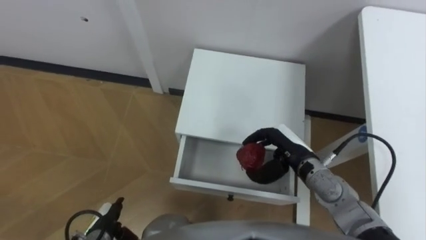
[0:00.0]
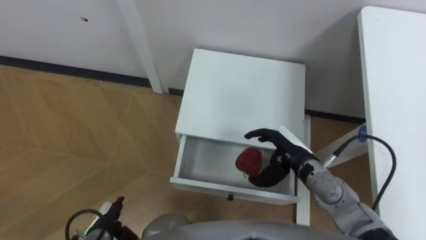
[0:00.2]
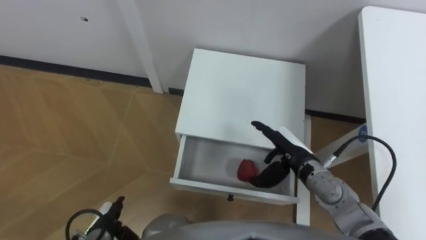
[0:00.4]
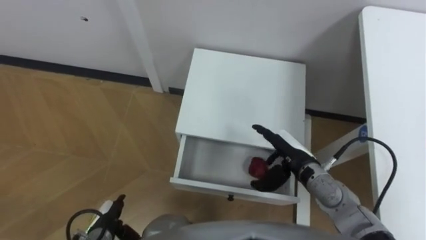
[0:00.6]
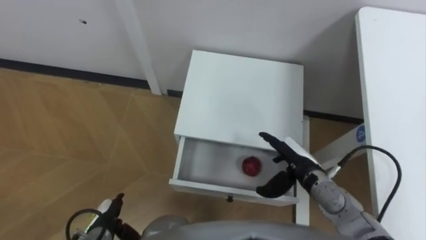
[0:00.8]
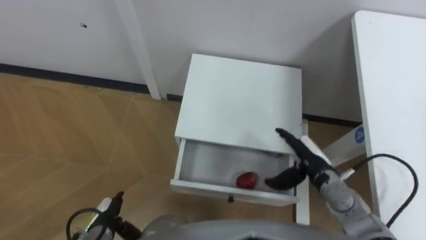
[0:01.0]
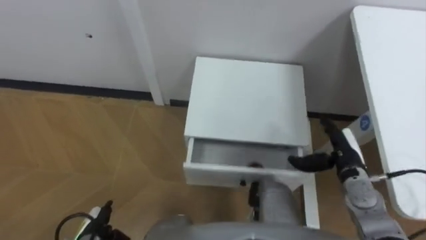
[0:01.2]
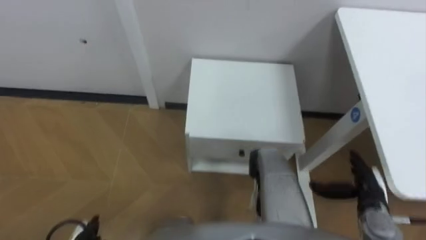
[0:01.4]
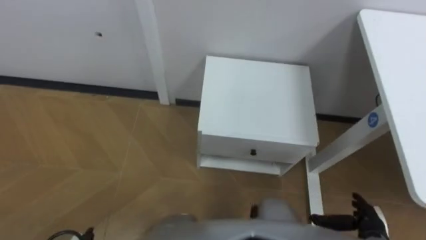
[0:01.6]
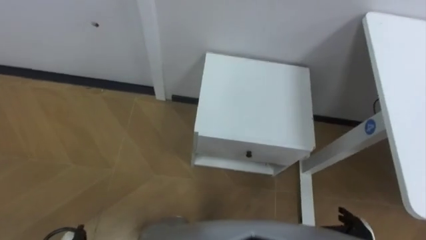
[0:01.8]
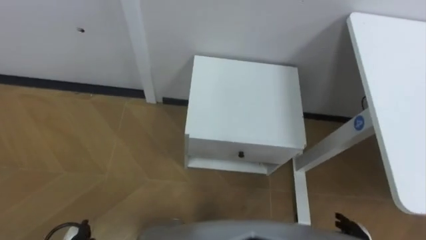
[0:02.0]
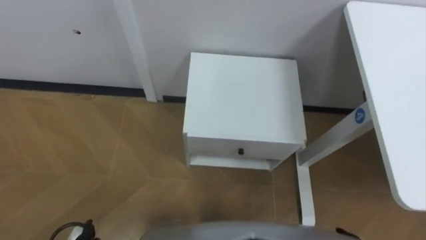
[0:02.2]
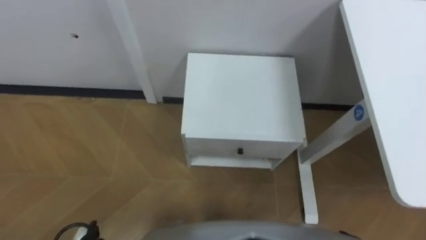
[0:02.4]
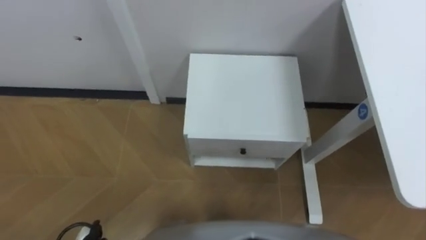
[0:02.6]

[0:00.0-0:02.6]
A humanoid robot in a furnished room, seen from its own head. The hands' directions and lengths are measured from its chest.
Task of the whole recording: Pick up the apple from the table, put it in the drawer, and close the drawer with leg.
0:00.0 to 0:01.2: The right hand heads to the right, covering about 10 cm, and opens up.

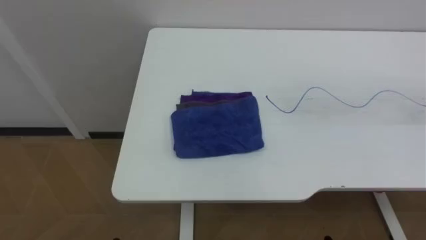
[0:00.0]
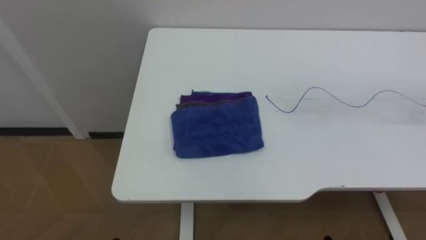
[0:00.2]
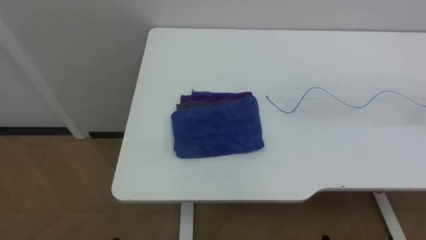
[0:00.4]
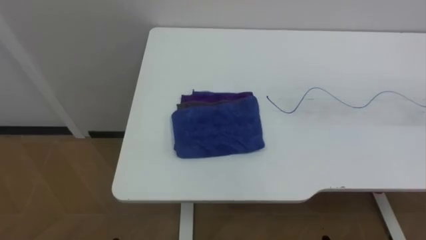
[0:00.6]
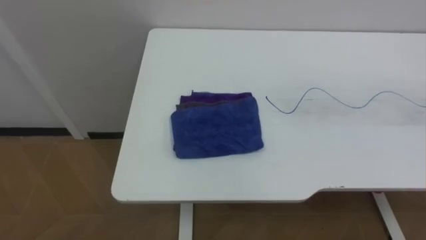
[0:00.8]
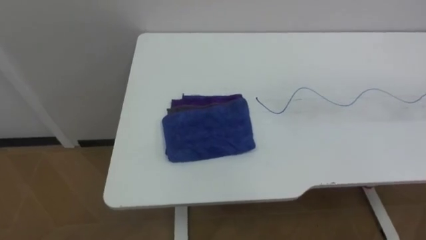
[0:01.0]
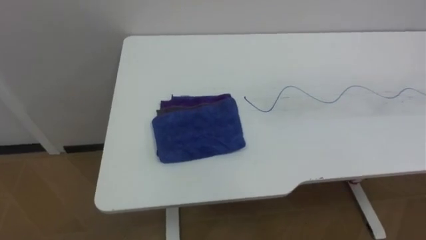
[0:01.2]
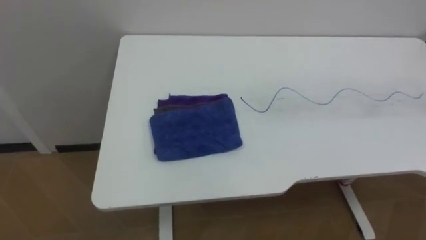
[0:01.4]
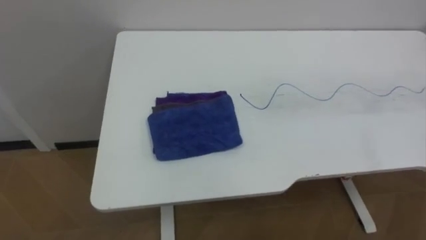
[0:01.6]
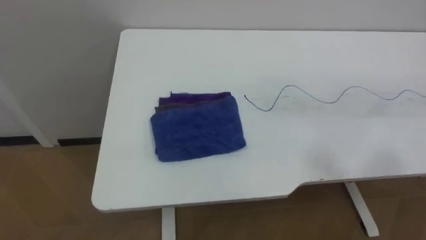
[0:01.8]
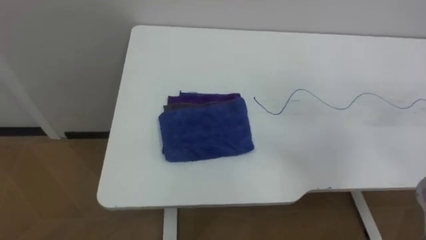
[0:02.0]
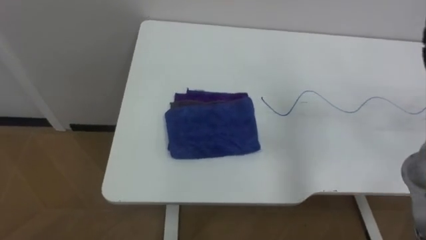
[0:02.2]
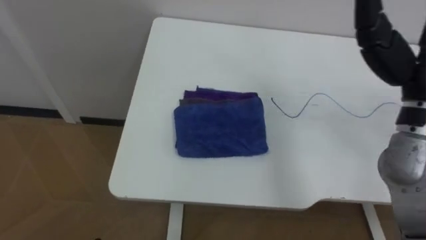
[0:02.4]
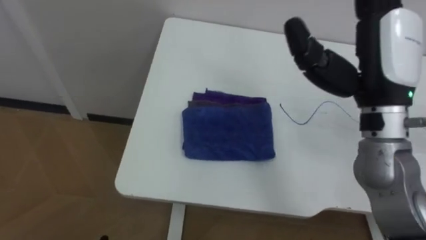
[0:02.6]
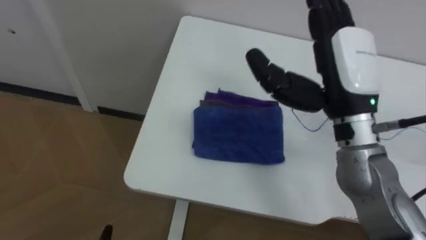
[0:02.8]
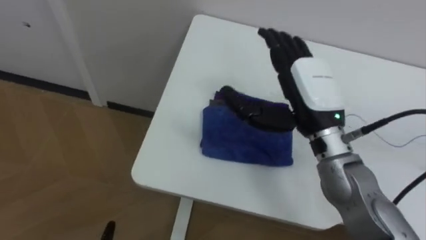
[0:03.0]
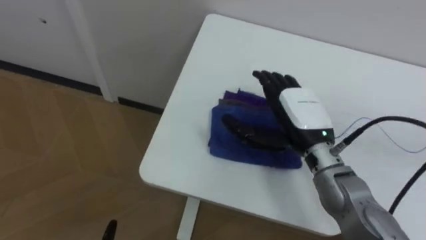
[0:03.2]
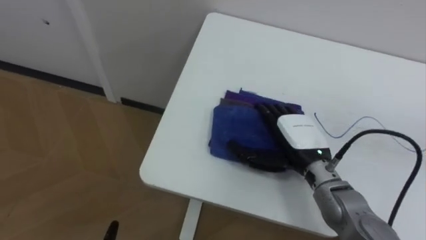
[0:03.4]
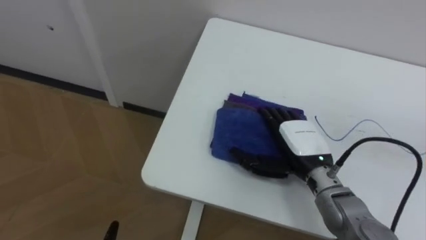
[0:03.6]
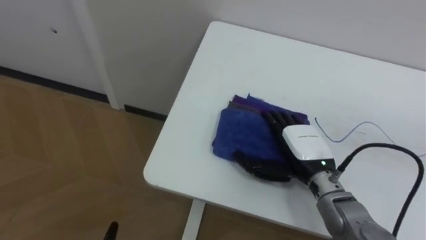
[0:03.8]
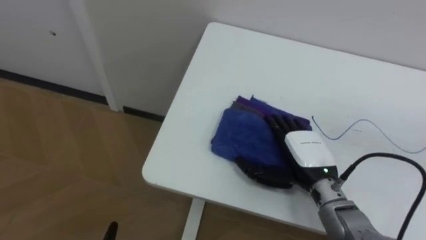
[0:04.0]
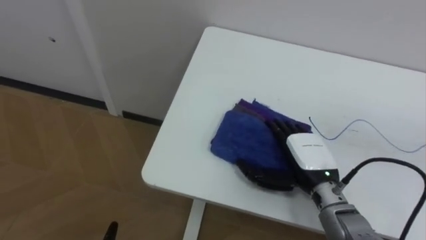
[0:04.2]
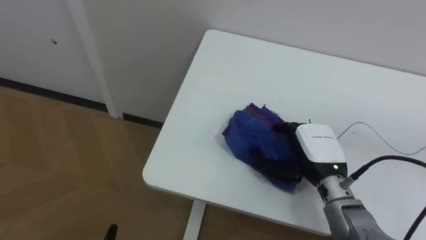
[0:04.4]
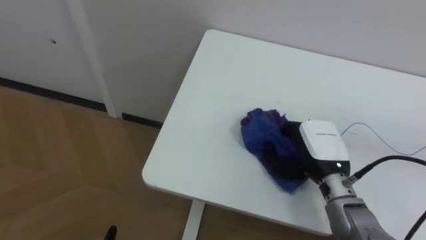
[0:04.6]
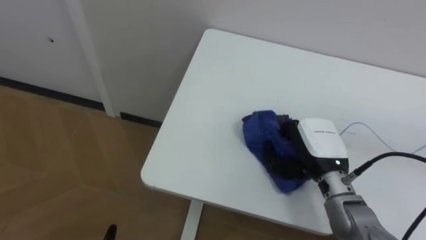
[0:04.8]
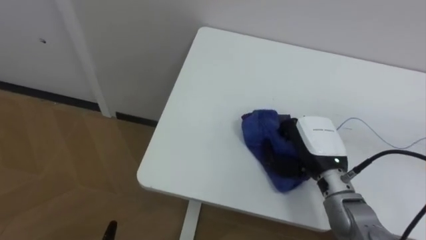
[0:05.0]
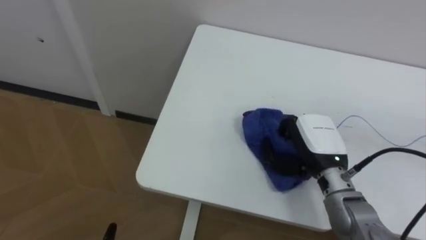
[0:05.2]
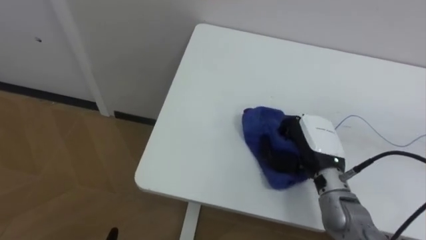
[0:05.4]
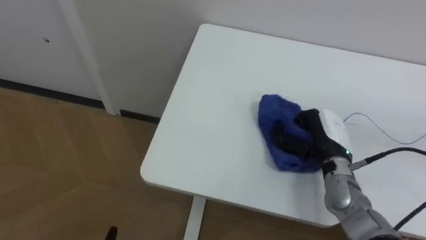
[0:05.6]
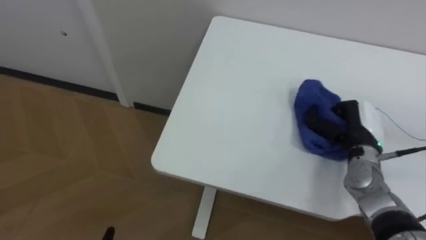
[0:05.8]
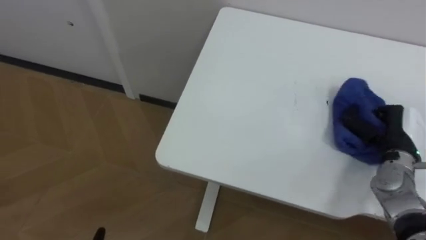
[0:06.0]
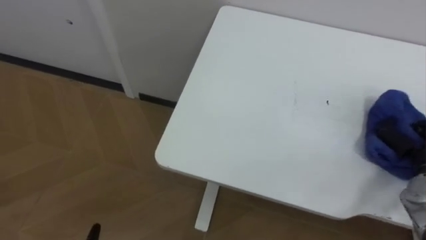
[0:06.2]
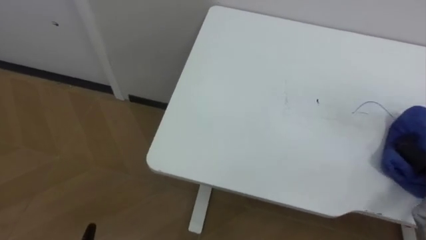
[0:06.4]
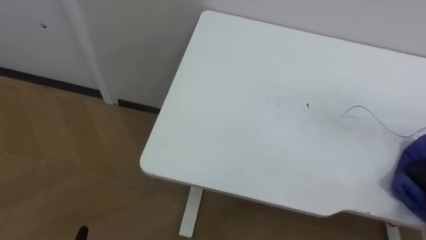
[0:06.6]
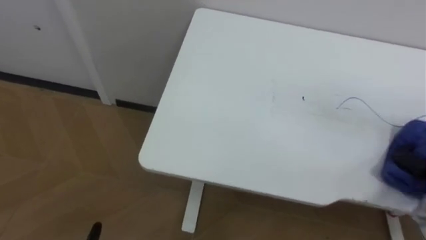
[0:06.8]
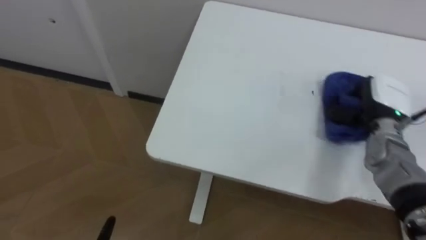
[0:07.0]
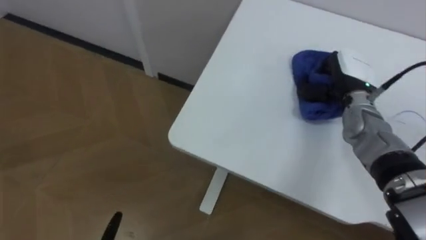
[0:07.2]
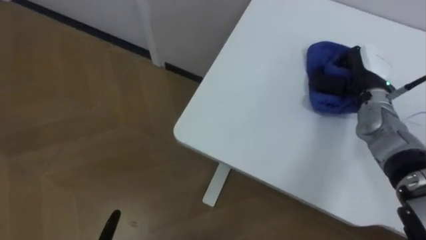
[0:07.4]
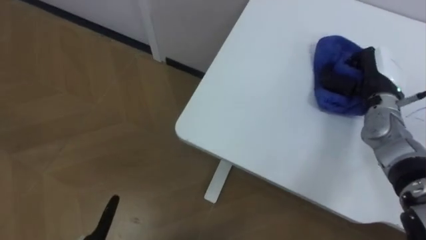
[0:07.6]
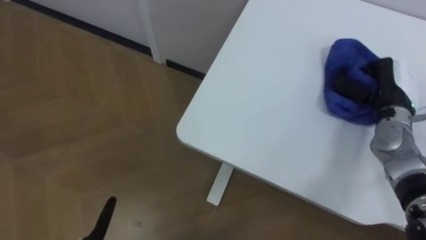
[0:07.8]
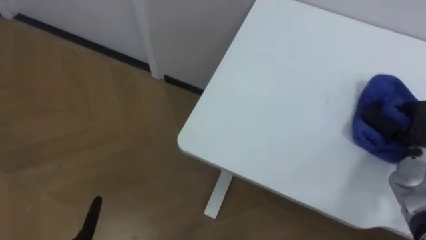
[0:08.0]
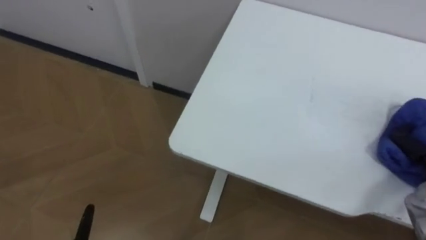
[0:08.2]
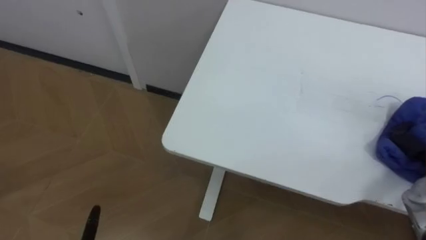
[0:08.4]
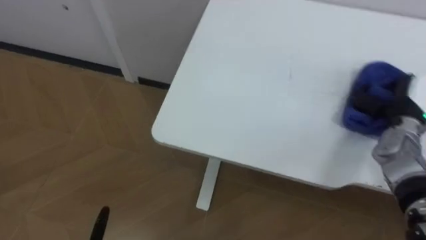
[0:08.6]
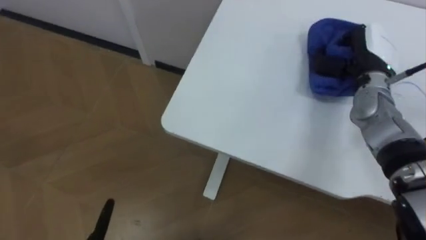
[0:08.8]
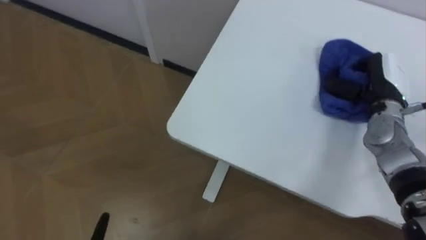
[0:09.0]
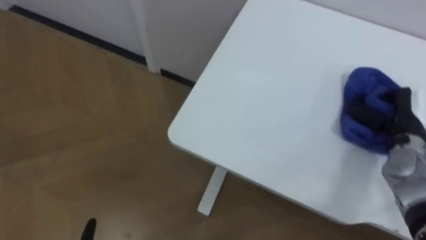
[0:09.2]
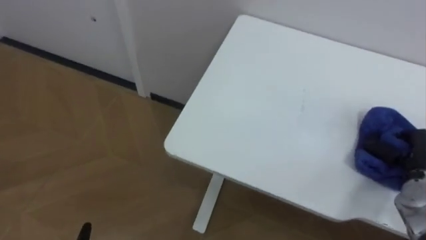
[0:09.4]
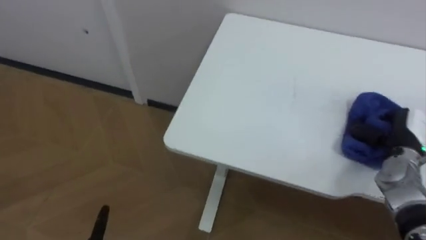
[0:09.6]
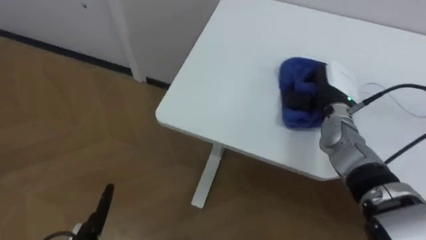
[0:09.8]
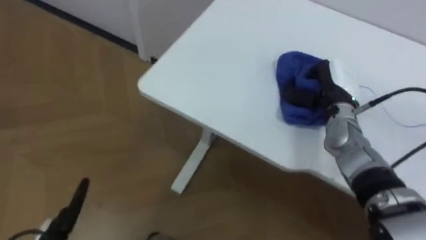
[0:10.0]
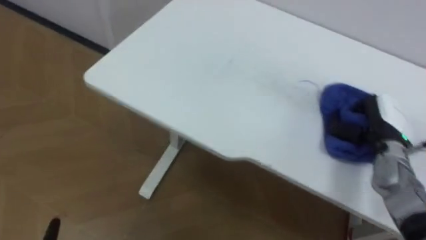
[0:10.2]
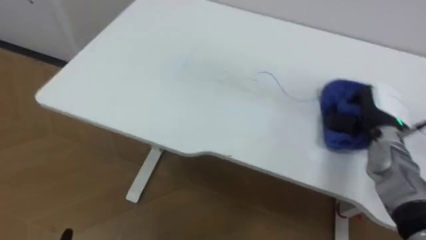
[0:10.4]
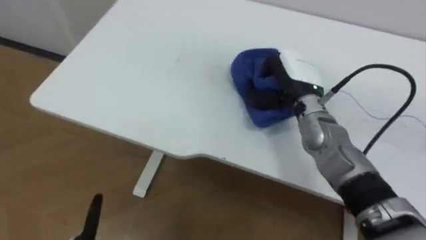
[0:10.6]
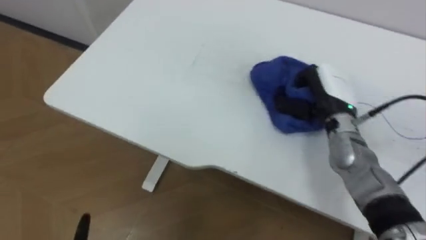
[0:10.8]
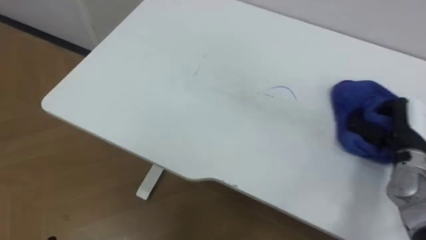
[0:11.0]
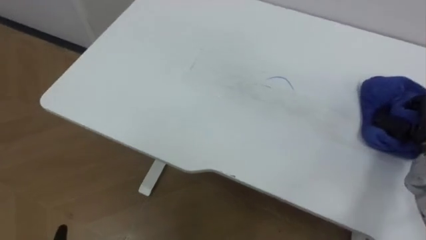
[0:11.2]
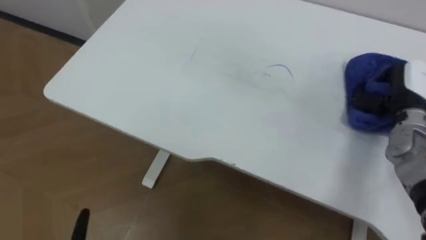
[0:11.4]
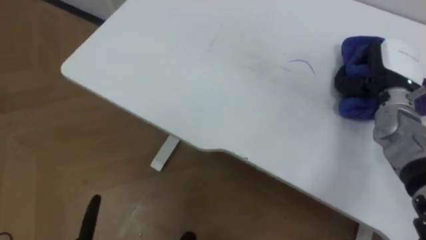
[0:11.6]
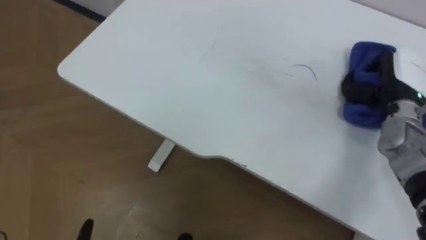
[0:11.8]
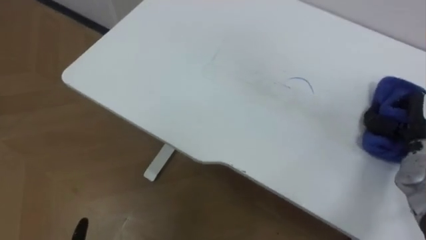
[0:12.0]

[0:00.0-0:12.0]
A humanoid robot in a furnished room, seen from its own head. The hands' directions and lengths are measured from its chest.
Task of the whole recording: Wipe the blue pen marks off the table with the rag.
0:03.0 to 0:04.4: The right hand goes roughly 15 cm downward, and closes.
0:04.4 to 0:06.0: The right hand moves to the right, some 15 cm, and closes up.
0:09.0 to 0:10.4: The right hand swings left and right, roughly 15 cm each way, with 2 reversals.

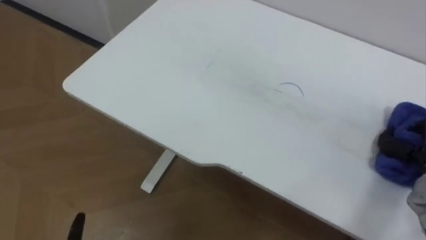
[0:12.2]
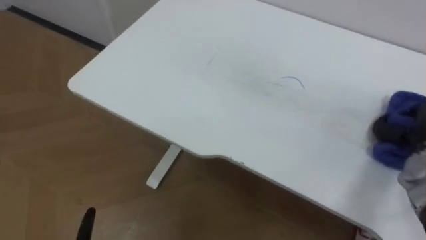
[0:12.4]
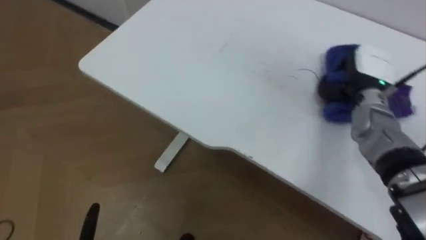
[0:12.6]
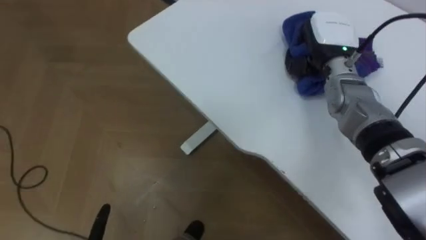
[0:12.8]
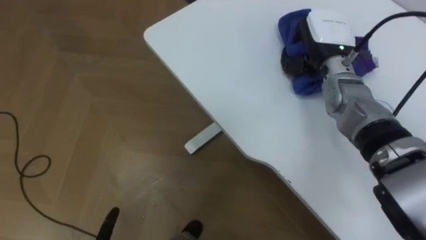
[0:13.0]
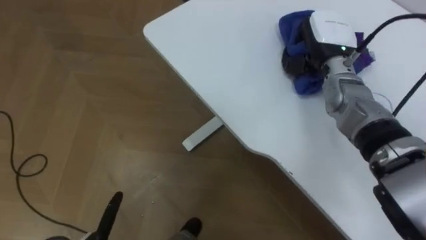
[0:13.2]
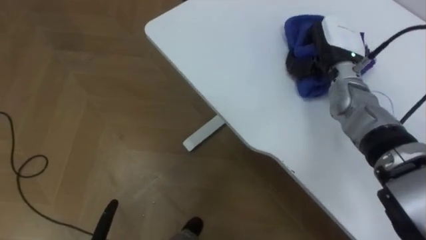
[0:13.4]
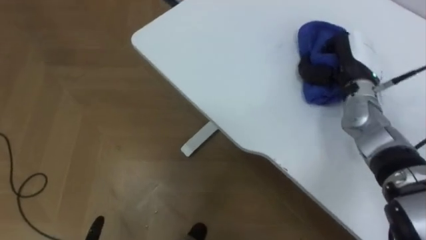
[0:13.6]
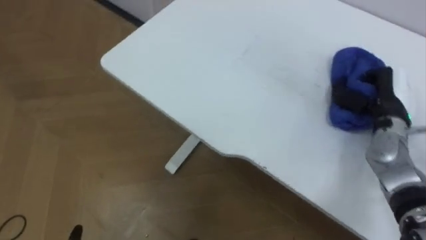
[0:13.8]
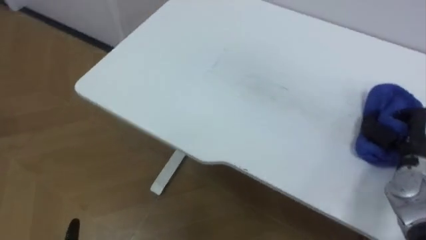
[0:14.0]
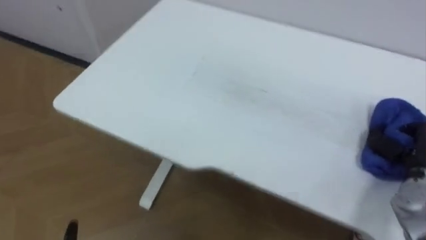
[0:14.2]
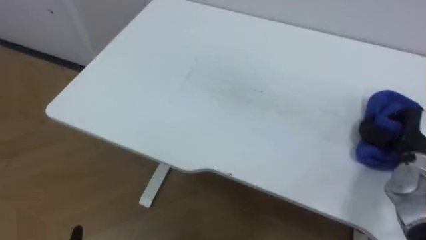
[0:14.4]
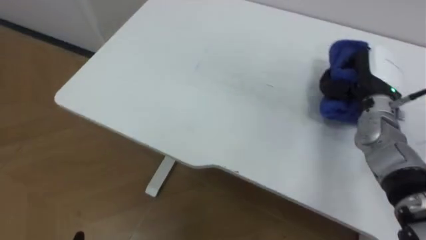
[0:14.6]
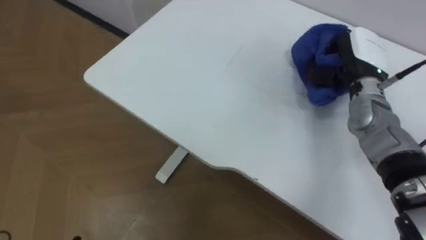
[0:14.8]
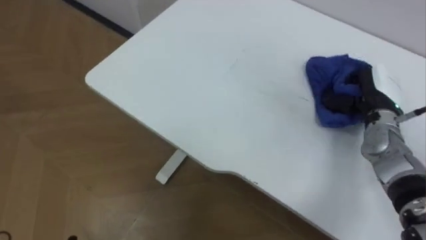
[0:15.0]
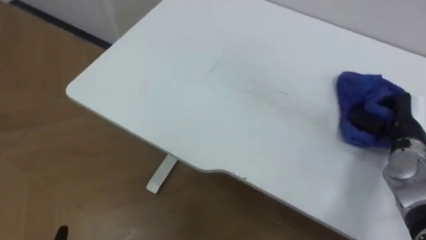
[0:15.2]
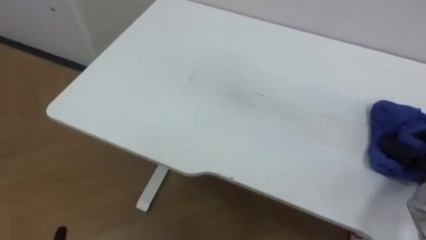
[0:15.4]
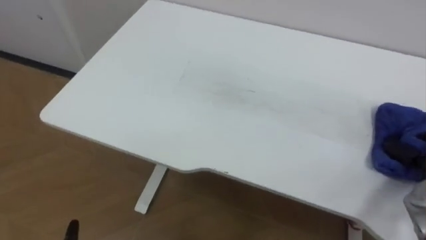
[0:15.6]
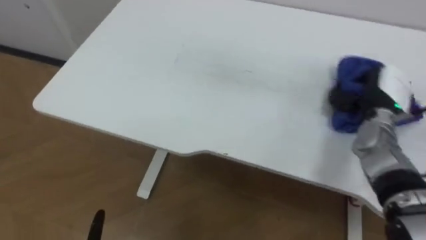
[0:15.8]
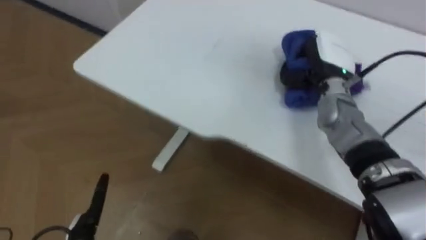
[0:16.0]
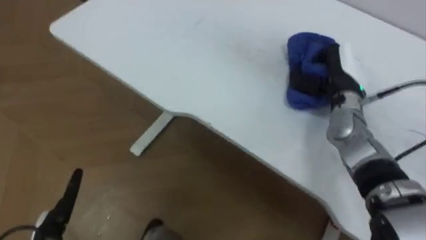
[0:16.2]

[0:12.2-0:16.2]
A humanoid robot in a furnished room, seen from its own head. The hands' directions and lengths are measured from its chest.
Task of the whole recording: Wipe the blue pen marks off the table with the rag.
0:13.6 to 0:14.8: The right hand travels backward and back again, approximately 15 cm each way.
